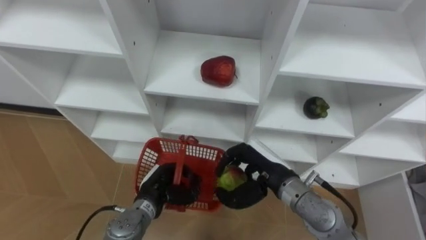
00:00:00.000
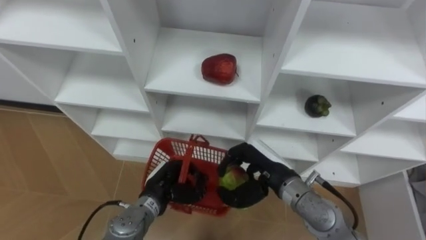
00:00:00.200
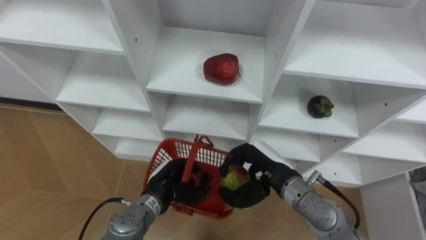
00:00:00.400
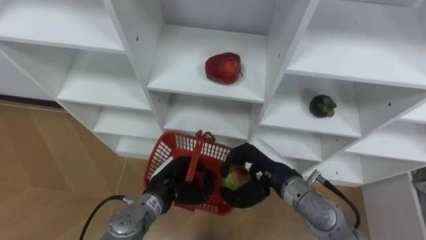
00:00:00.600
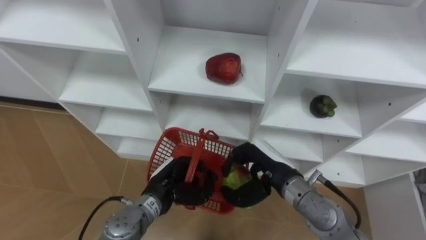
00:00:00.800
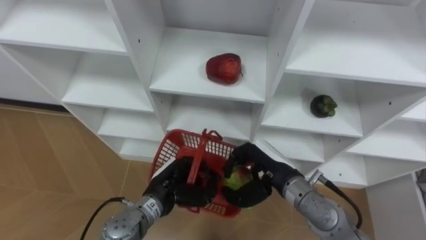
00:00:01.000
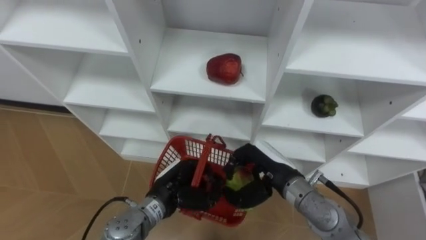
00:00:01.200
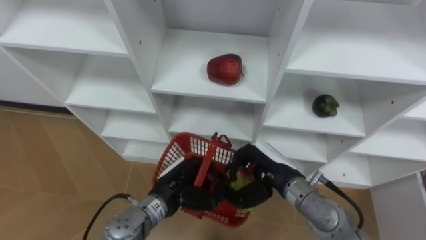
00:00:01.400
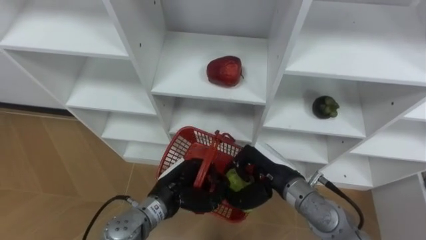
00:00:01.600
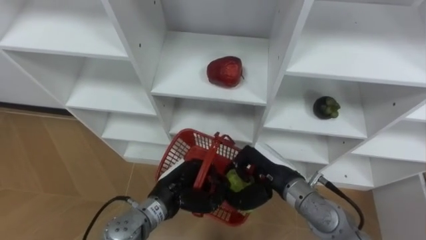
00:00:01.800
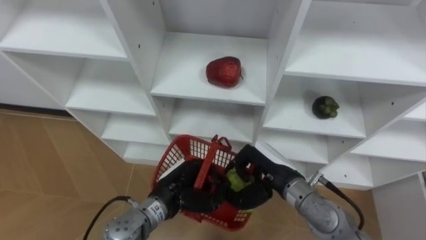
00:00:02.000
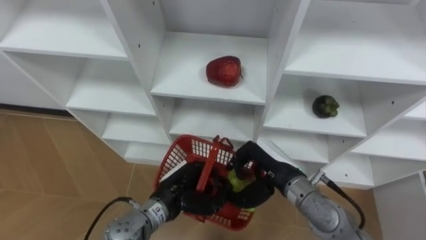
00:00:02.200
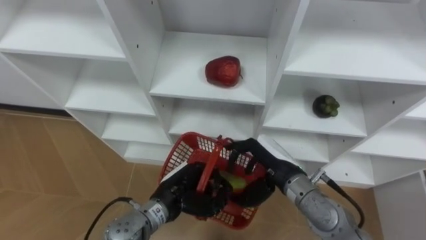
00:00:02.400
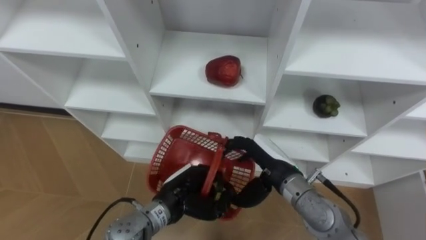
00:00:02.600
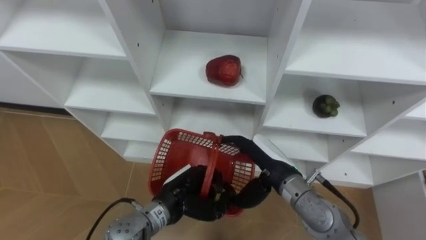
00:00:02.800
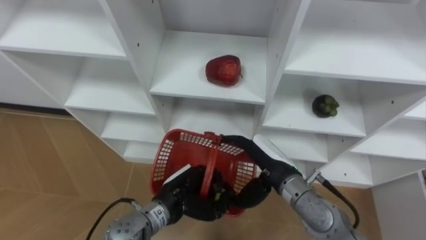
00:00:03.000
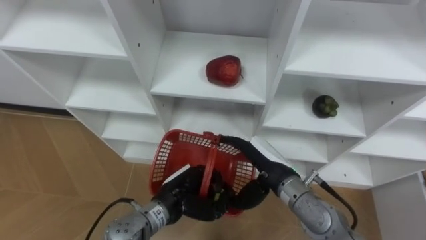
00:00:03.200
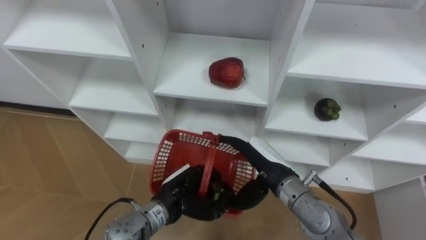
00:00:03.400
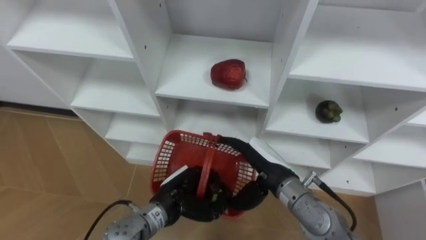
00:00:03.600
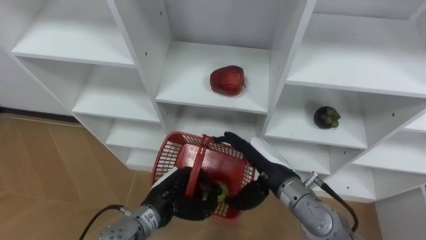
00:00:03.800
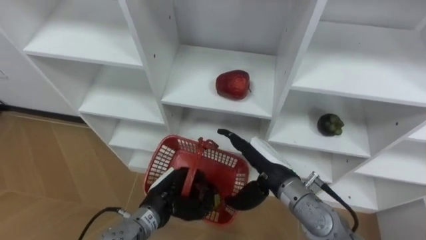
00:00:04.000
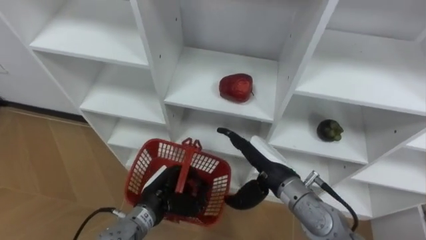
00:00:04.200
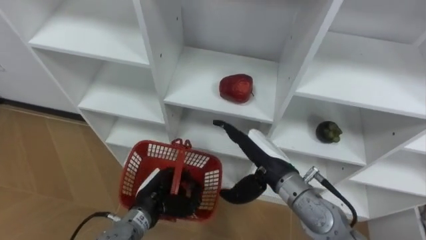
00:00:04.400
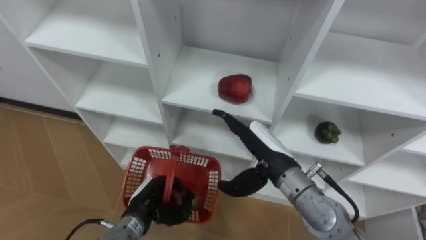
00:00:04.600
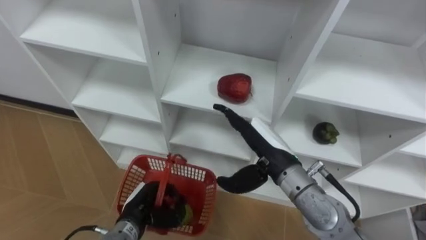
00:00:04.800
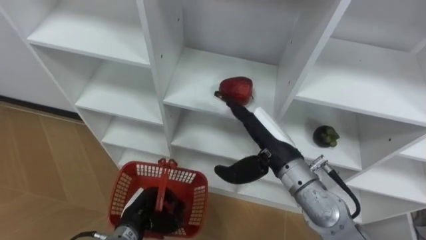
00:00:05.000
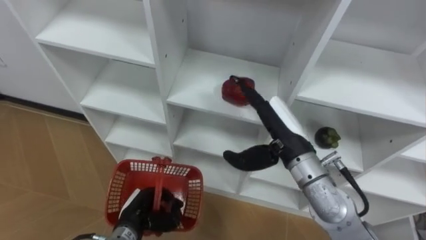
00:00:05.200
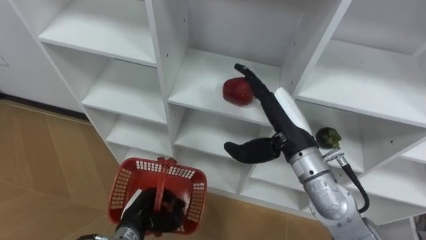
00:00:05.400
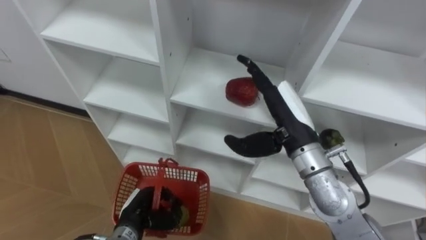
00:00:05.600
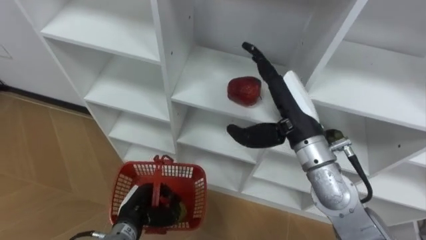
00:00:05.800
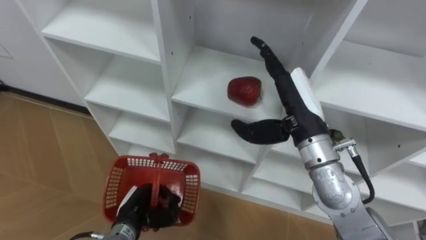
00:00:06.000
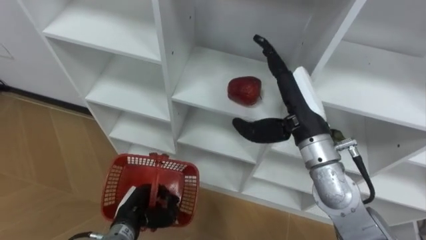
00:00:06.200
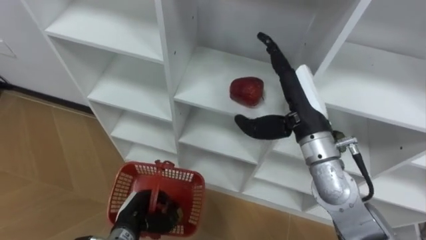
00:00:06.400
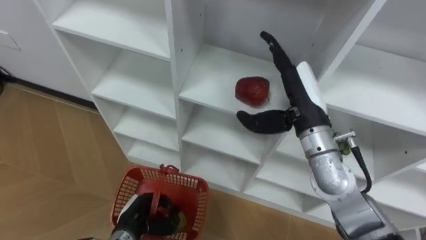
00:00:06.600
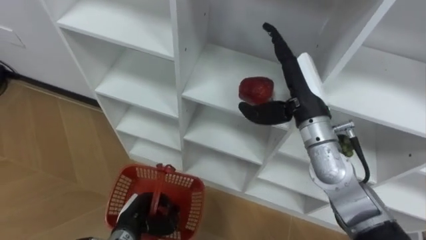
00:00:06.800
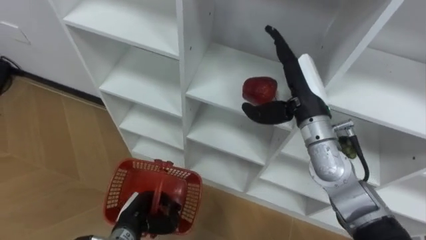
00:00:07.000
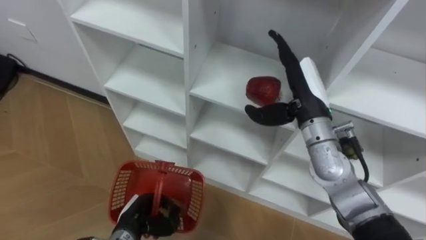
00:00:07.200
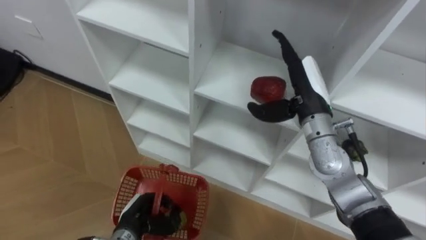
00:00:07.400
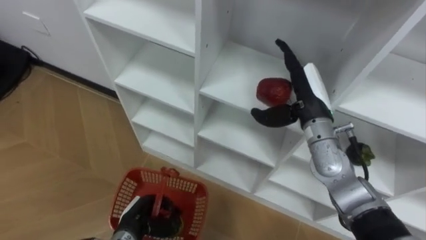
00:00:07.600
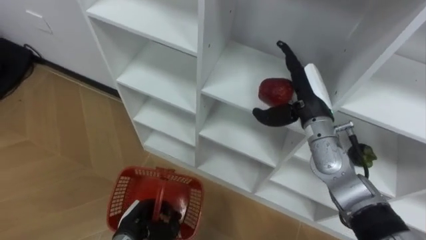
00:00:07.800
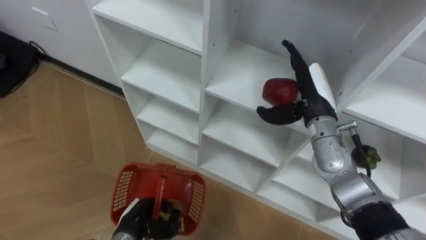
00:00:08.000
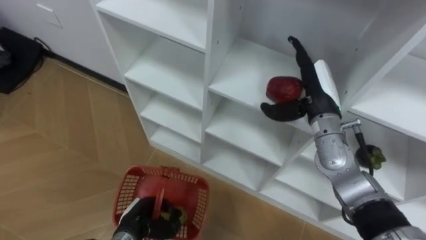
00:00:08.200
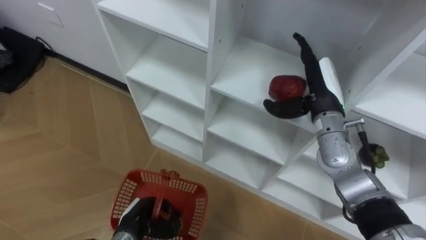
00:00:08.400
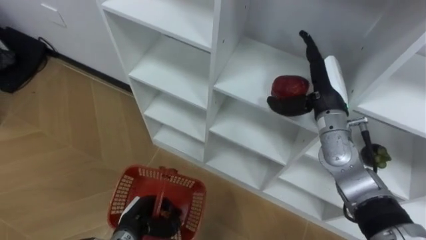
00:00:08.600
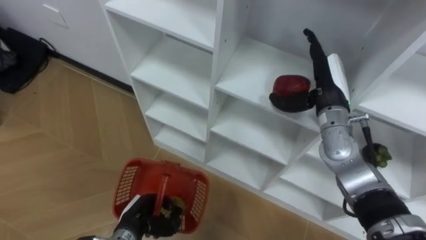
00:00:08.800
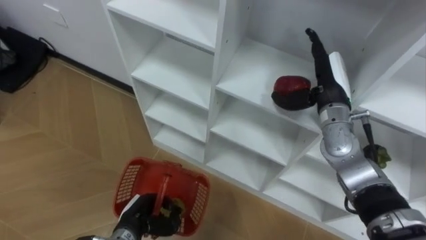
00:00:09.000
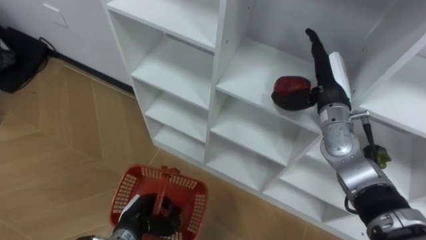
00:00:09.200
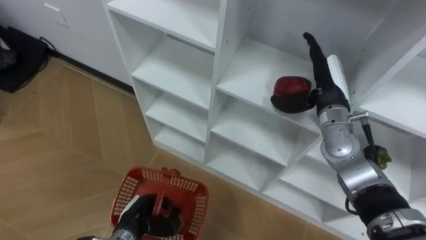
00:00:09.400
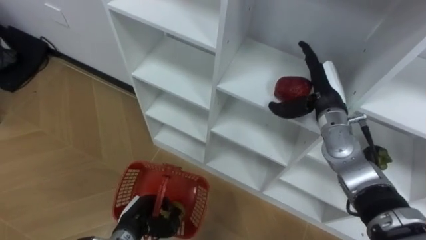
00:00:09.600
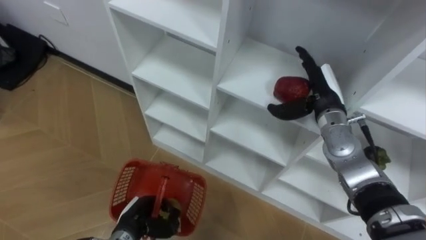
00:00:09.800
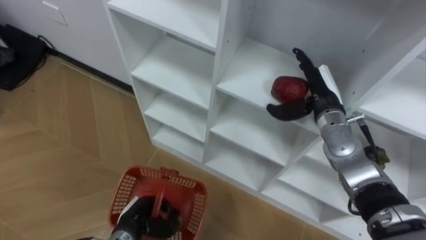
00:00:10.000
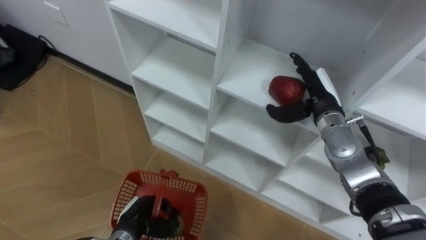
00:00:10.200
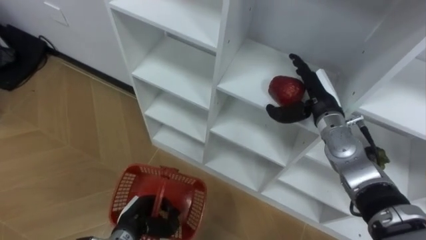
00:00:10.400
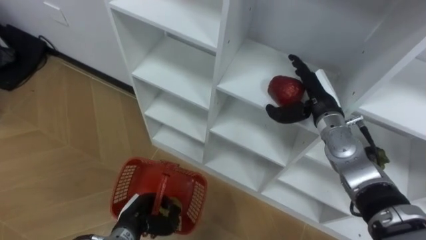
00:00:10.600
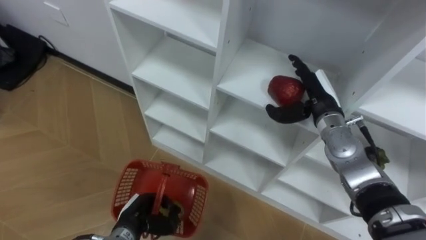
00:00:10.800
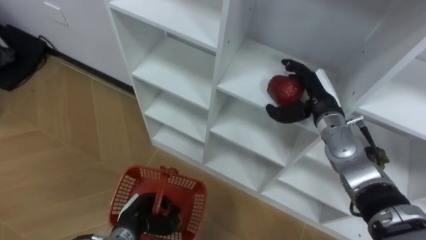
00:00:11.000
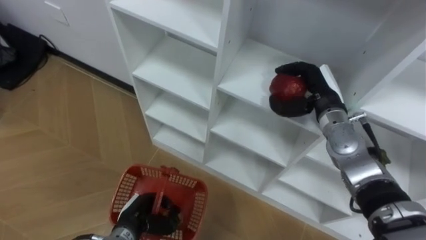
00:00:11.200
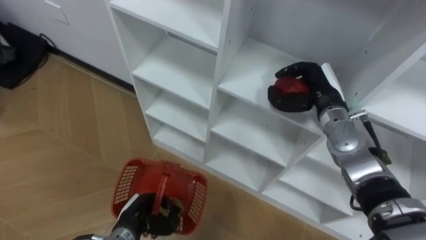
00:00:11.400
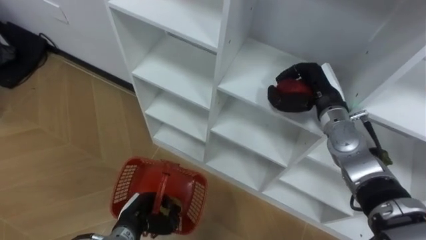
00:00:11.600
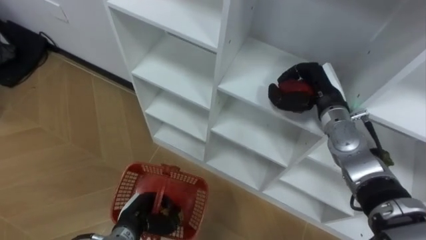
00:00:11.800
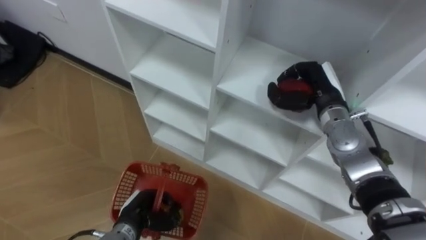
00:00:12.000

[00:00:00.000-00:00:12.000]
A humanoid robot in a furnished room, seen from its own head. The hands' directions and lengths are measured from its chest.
Task of the whole recording: Hold the basket and collect the fruits from 3 different cells of the closet into it.
00:00:00.000 to 00:00:01.600: The left hand heads upward, covering roughly 5 cm.
00:00:01.600 to 00:00:03.000: The right hand opens.
00:00:03.000 to 00:00:04.400: The left hand travels to the left by about 5 cm.
00:00:04.400 to 00:00:06.000: The left hand shifts by roughly 5 cm. Meanwhile the right hand heads upward, covering approximately 10 cm.
00:00:06.000 to 00:00:07.600: The right hand travels forward by roughly 5 cm.
00:00:09.000 to 00:00:10.400: The hands move only a little.
00:00:10.400 to 00:00:12.000: The right hand closes.

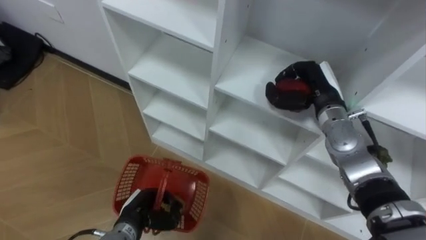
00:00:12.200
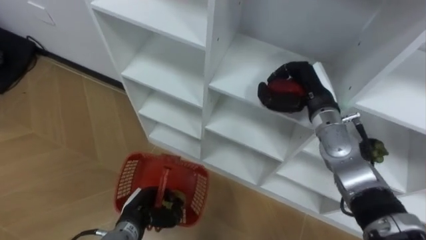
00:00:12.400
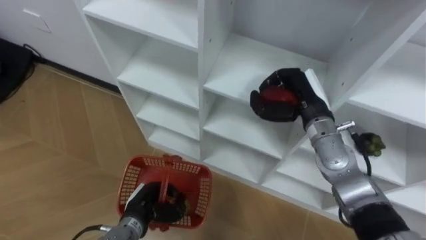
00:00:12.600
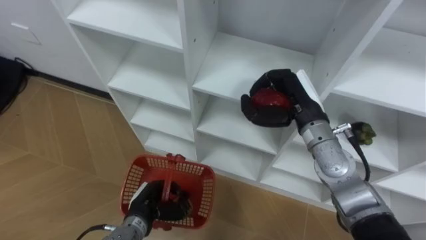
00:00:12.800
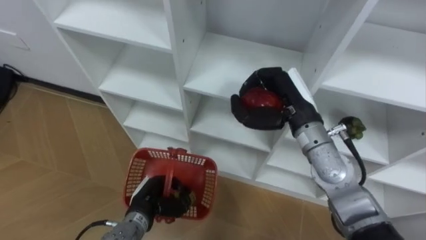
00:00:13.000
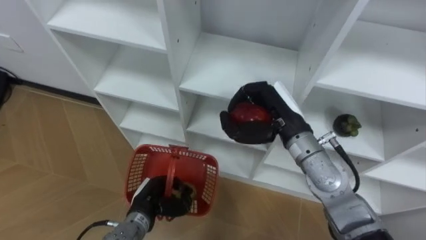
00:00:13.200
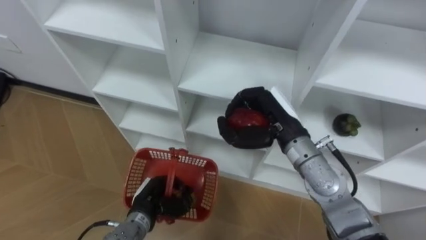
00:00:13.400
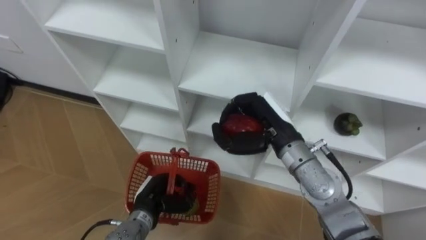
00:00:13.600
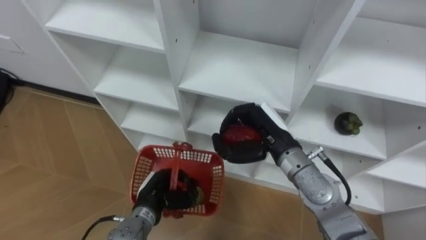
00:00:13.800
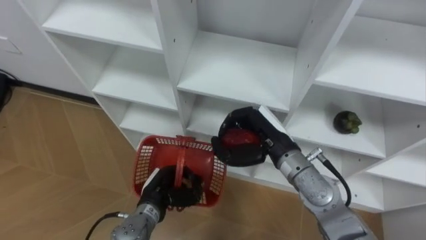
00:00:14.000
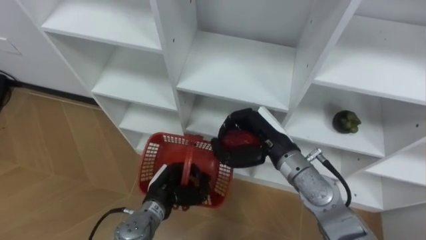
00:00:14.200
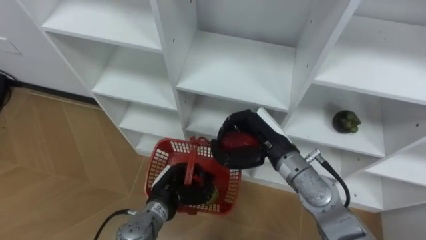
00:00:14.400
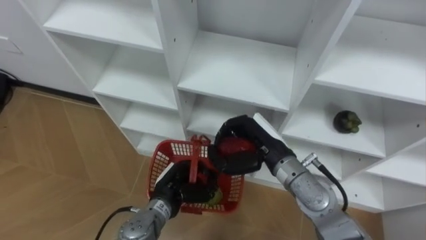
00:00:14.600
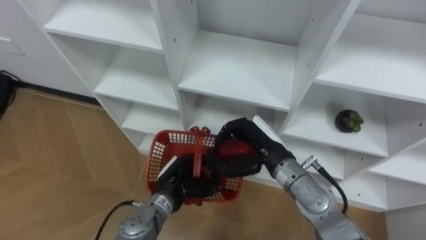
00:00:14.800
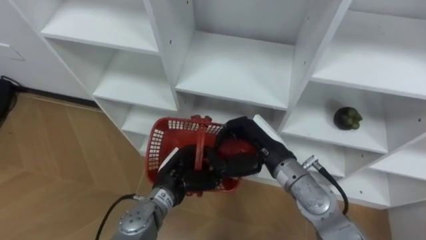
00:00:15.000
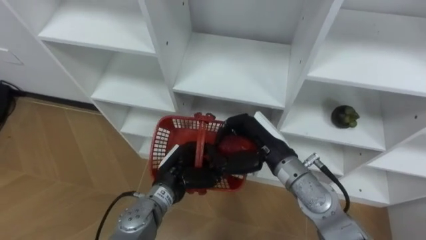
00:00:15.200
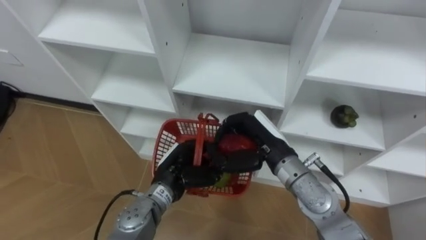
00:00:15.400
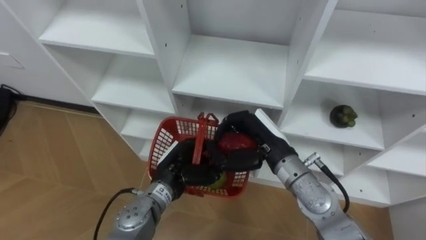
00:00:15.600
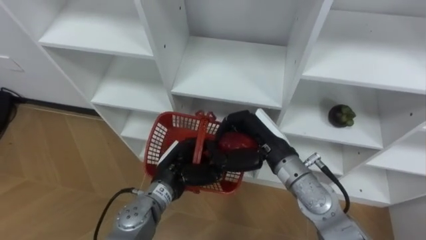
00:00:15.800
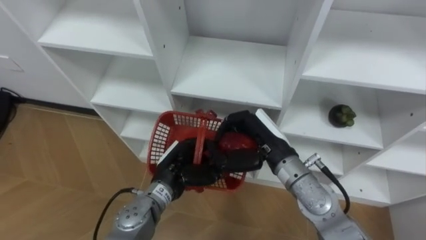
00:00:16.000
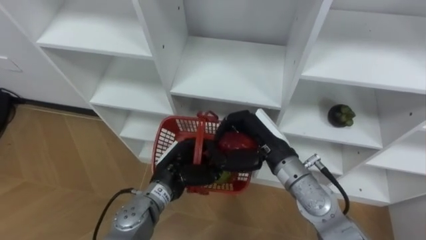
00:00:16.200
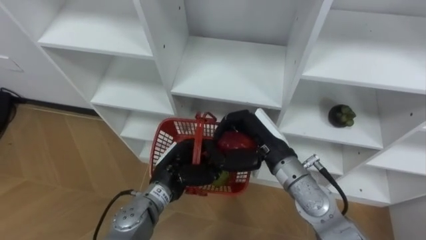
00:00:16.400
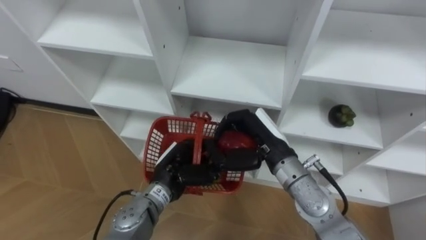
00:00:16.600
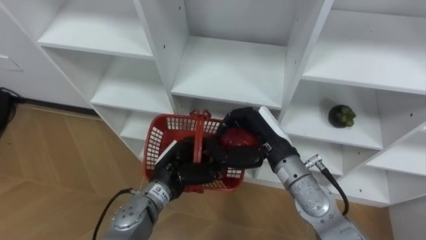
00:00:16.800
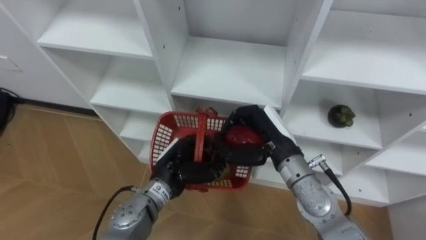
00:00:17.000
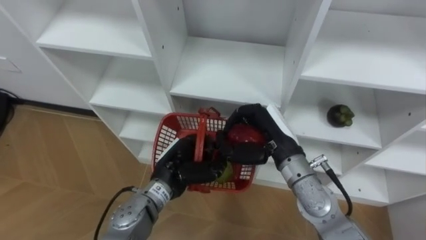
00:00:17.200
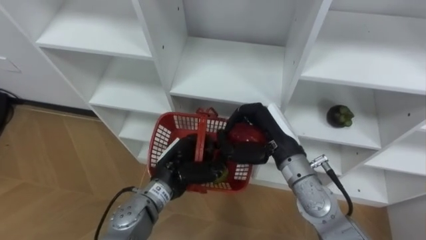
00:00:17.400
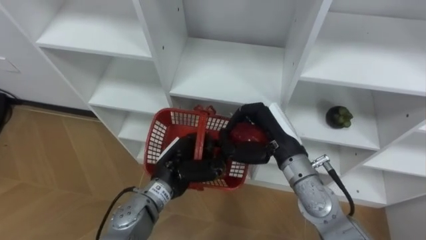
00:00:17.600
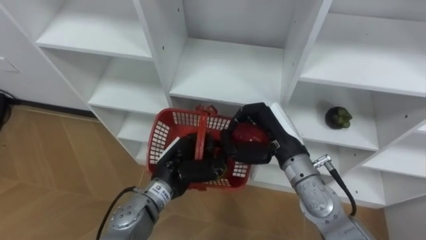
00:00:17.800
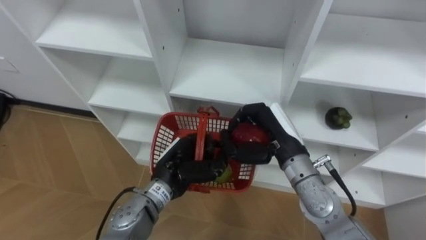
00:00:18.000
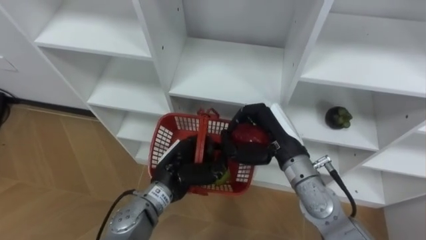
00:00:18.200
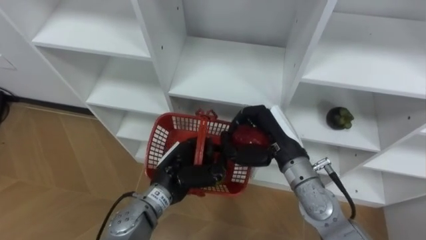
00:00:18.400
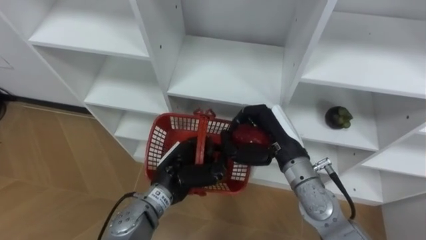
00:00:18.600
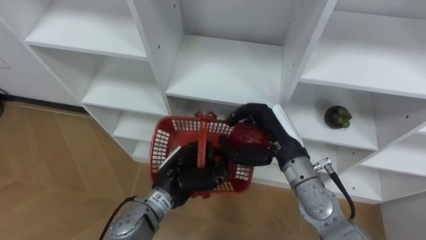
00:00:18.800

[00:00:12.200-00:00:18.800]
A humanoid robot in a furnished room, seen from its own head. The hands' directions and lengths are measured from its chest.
Task of the whole recording: Hold the basket and collect the fruits from 3 different cells of the closet into it.
00:00:12.200 to 00:00:13.800: The right hand travels to the left and backward by about 15 cm. The left hand changes place by roughly 5 cm.
00:00:13.800 to 00:00:15.400: The left hand shifts roughly 10 cm upward and to the right.
00:00:15.400 to 00:00:18.800: There are only small adjustments of the hands.
